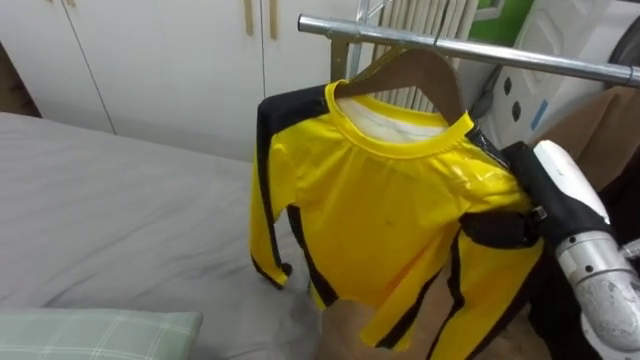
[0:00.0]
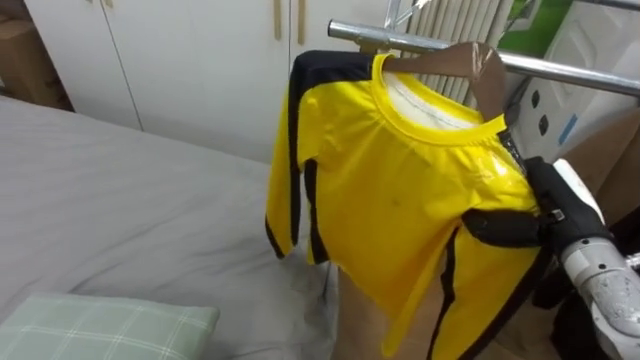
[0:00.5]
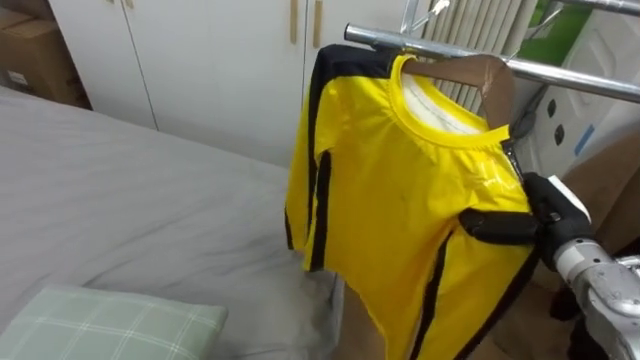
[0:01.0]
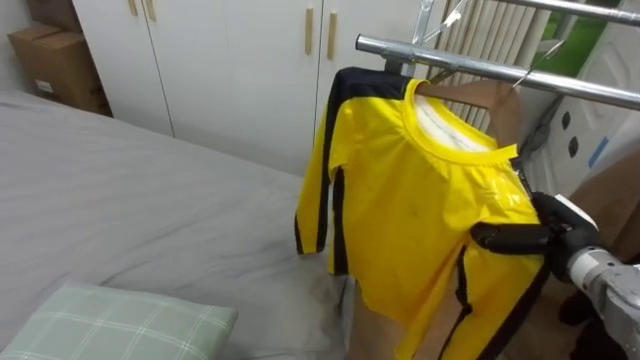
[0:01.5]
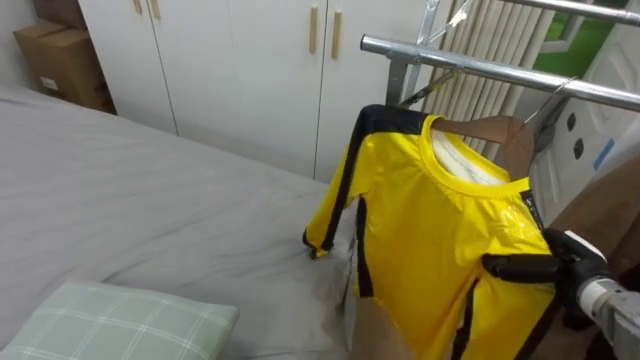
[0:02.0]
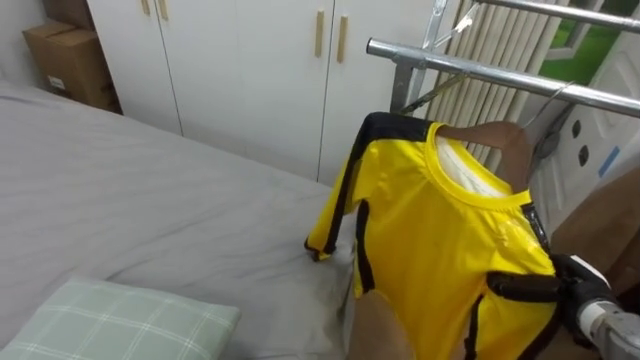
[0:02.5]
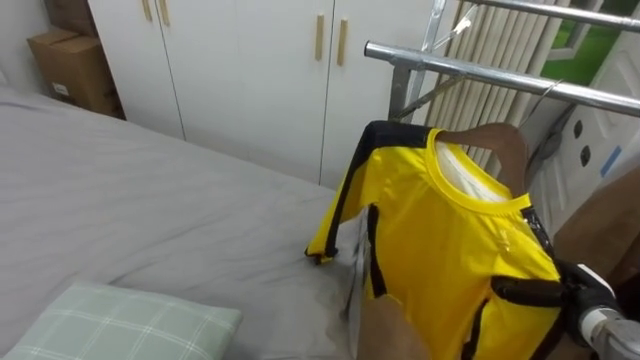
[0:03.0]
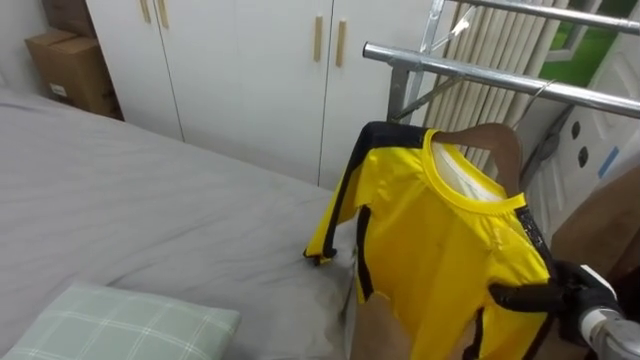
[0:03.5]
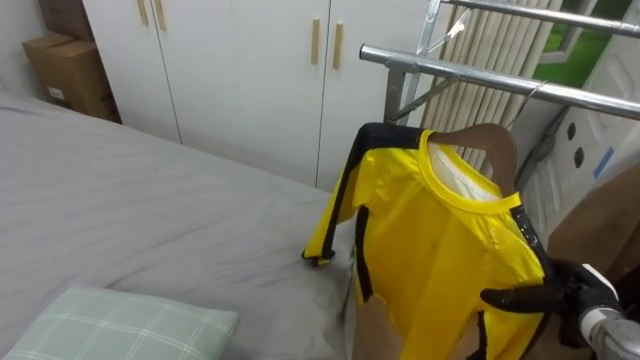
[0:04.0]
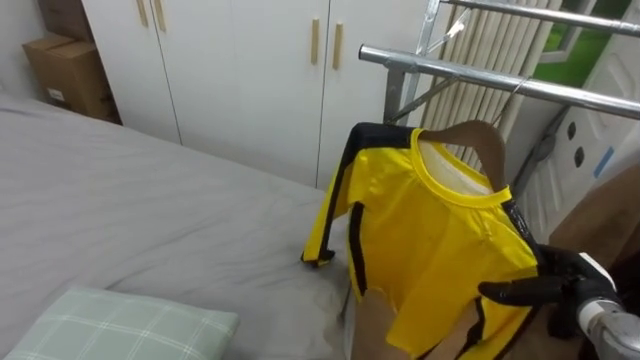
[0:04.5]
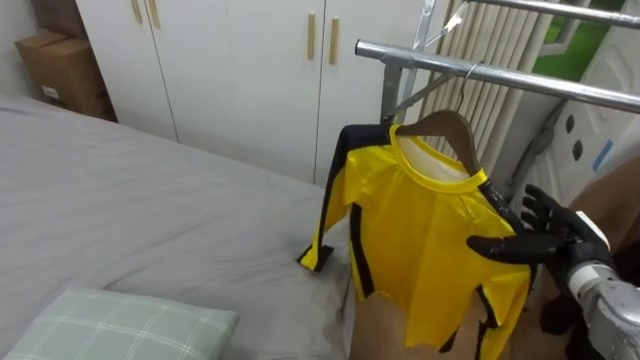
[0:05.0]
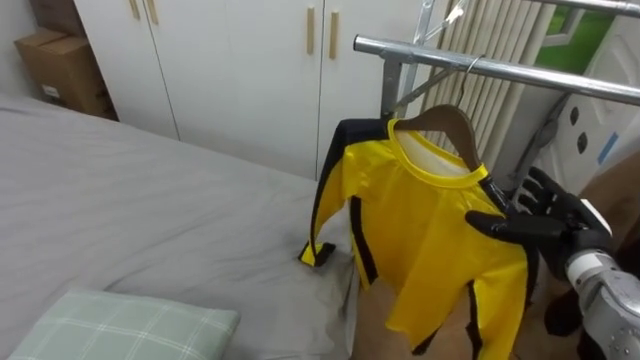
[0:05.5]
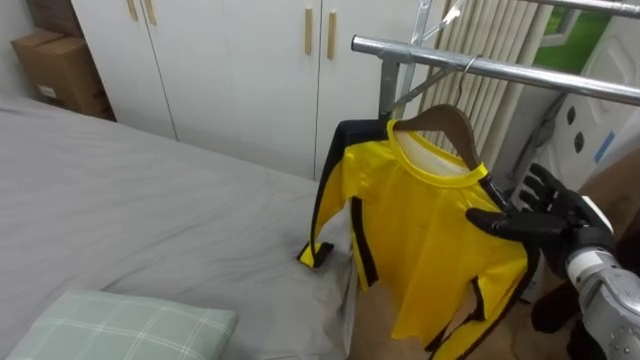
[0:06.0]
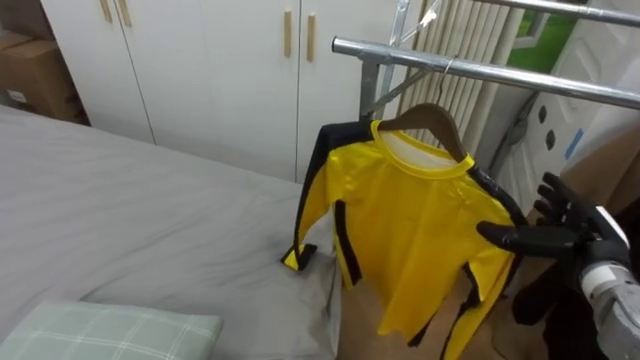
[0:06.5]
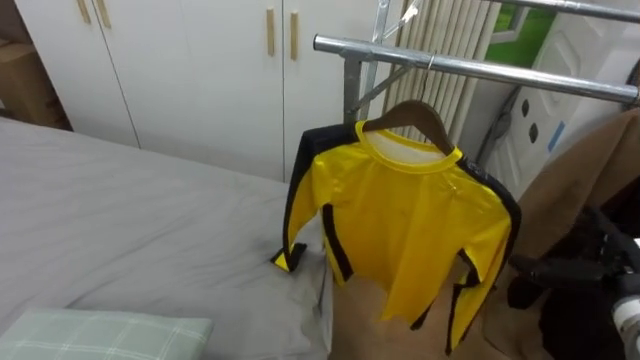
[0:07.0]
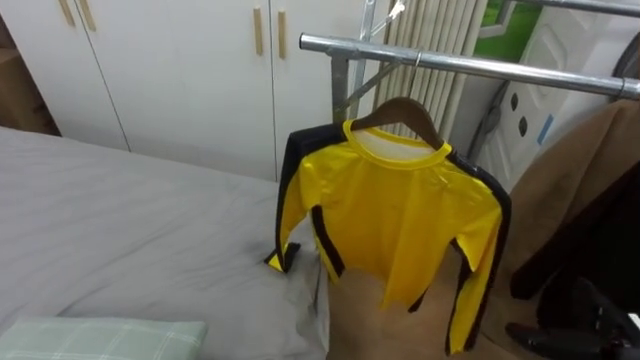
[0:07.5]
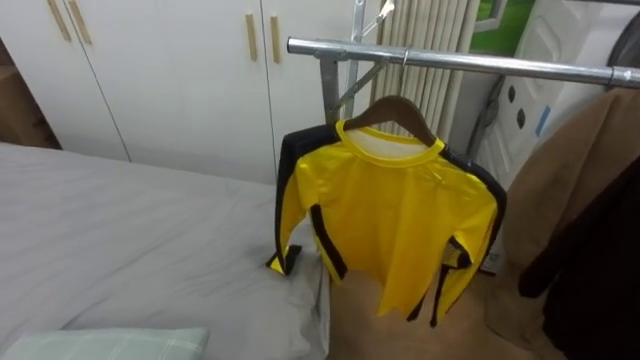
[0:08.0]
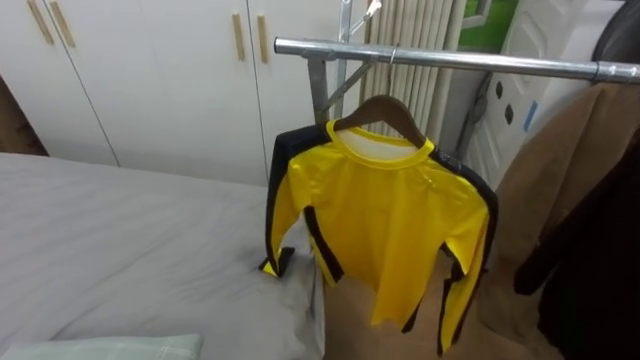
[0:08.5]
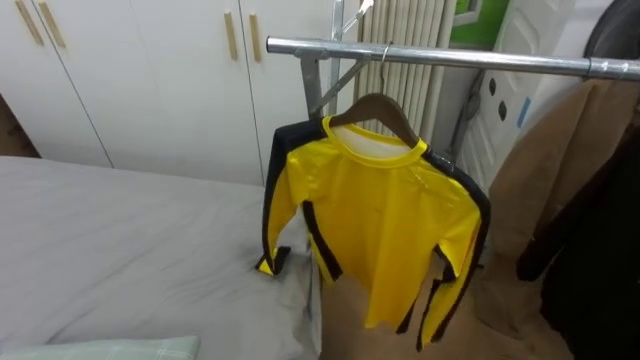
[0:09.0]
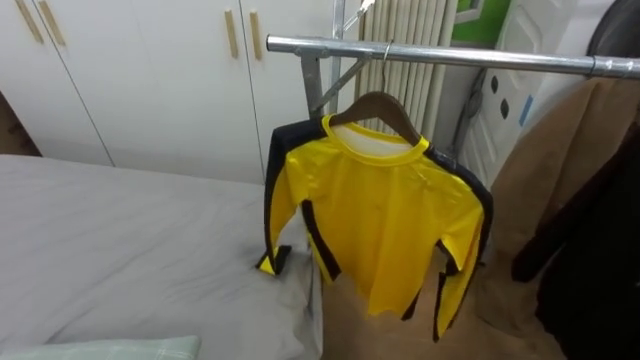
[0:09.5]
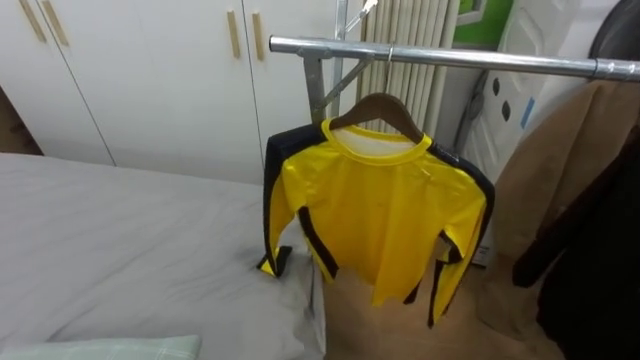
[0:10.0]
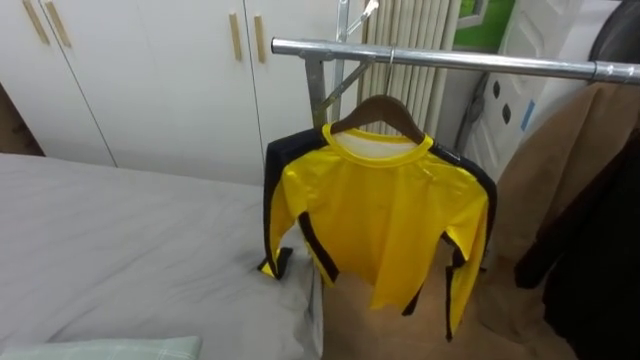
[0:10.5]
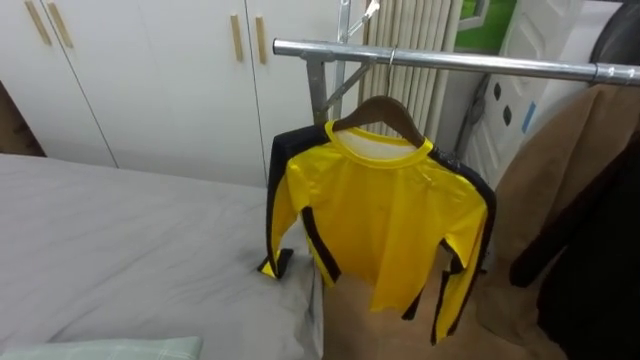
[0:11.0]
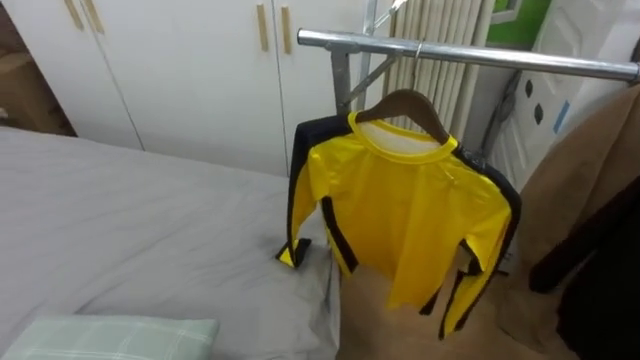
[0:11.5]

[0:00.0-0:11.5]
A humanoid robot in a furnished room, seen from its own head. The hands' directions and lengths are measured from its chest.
Task of the whole recording: Pick up the yellow shirt on the bed and hang it on the clothes rack on the right.
0:00.0 to 0:02.0: The right hand shifts roughly 15 cm downward and to the right.
0:02.0 to 0:04.0: The right hand opens.
0:04.0 to 0:06.0: The right hand shifts some 10 cm upward.
0:06.0 to 0:07.5: The right hand shifts about 15 cm backward and downward.

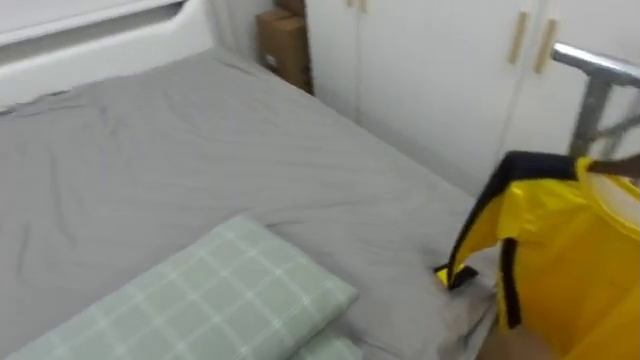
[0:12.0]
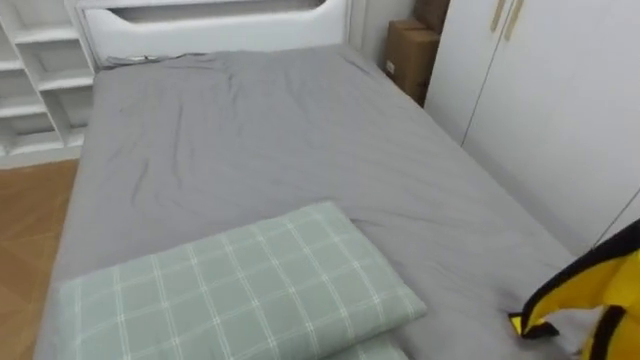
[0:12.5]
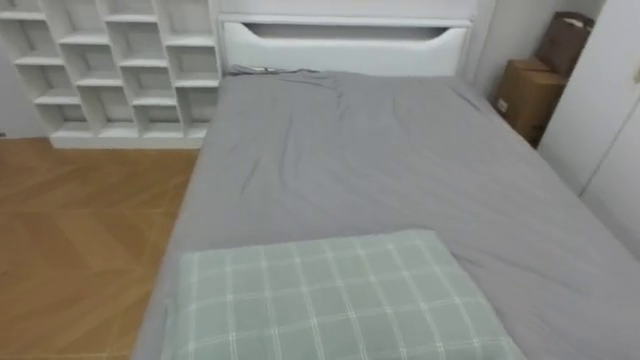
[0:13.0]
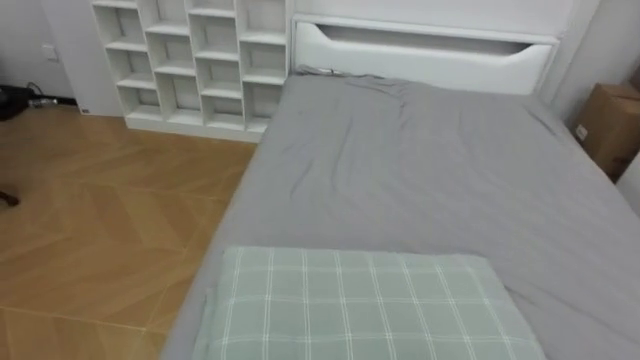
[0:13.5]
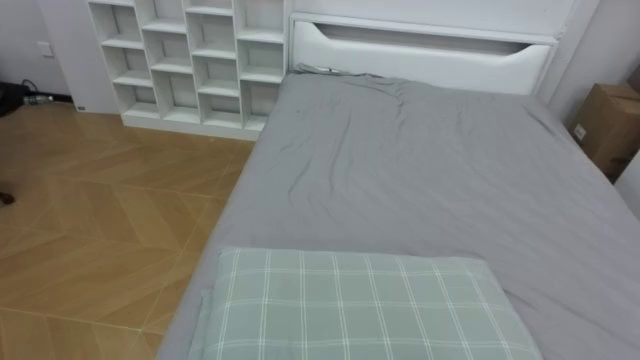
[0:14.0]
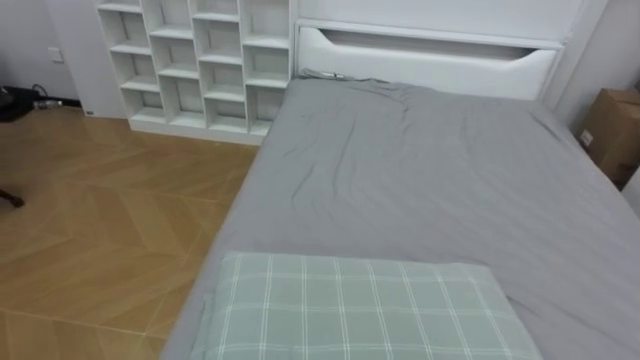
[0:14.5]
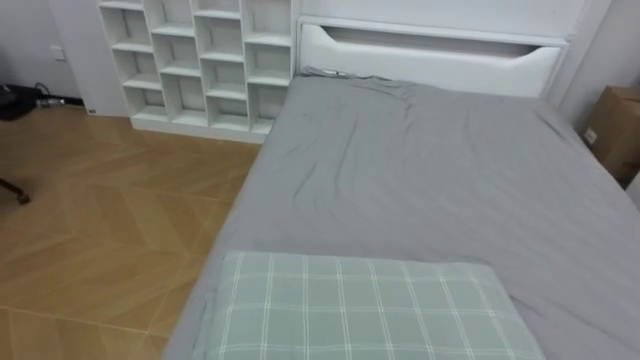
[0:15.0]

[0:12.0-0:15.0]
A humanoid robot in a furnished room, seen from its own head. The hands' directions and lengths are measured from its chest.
Task of the whole recording: Pick up the yellow shirt on the bed and hang it on the clothes rack on the right.
0:12.0 to 0:13.5: The robot's body swings roughly 50 degrees to its left.

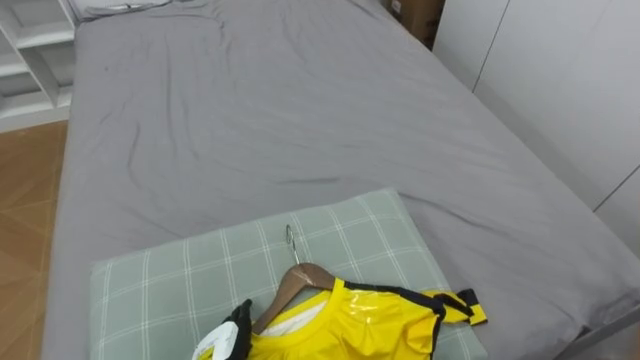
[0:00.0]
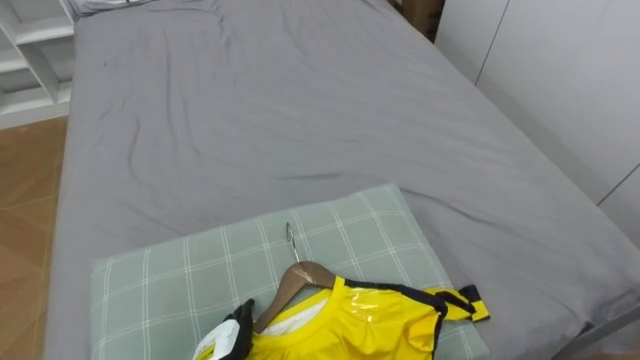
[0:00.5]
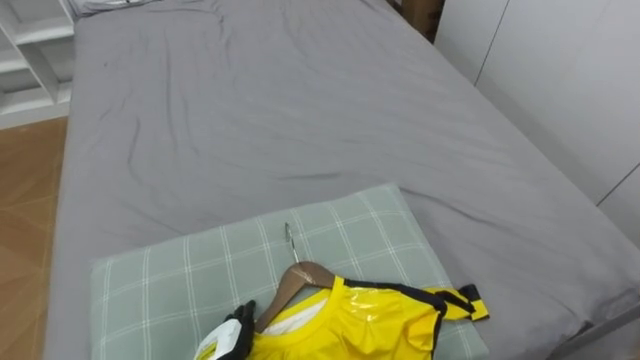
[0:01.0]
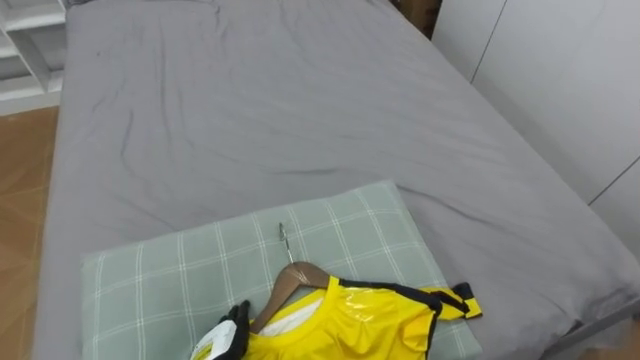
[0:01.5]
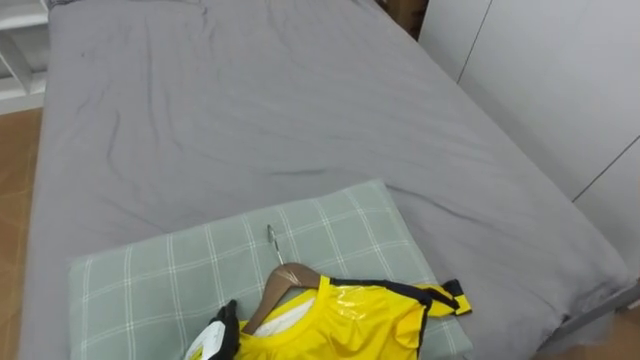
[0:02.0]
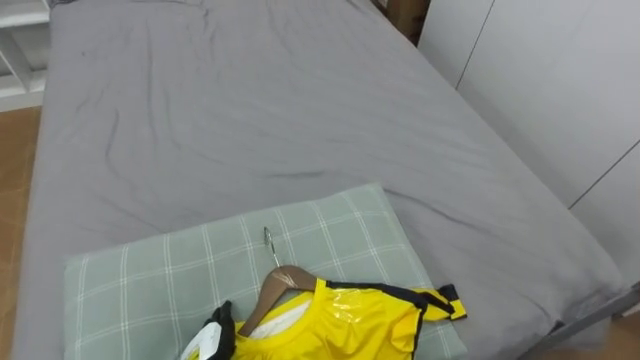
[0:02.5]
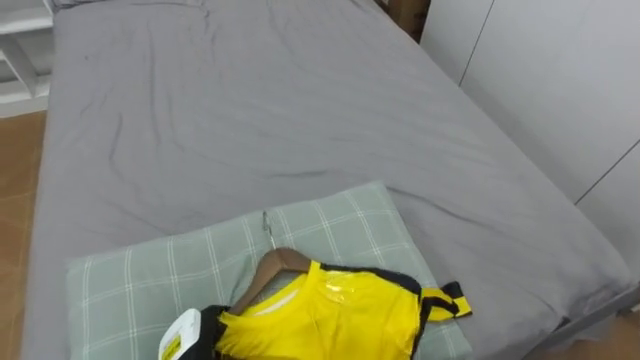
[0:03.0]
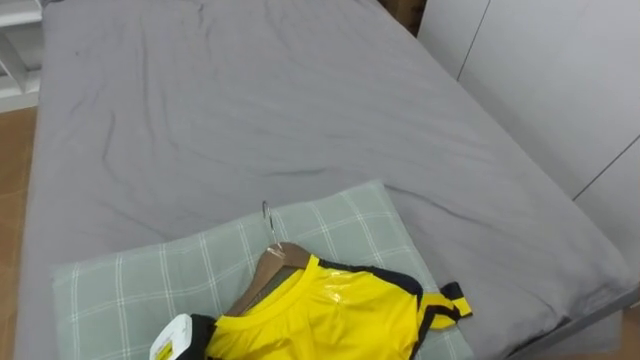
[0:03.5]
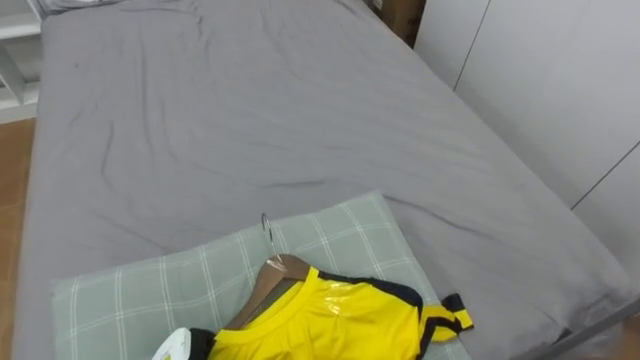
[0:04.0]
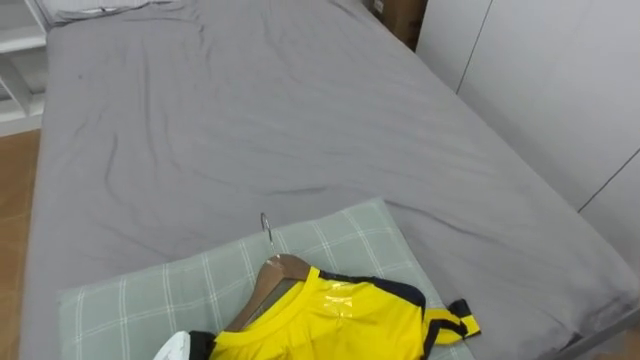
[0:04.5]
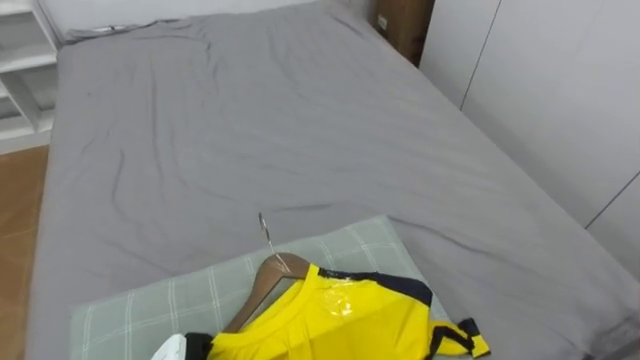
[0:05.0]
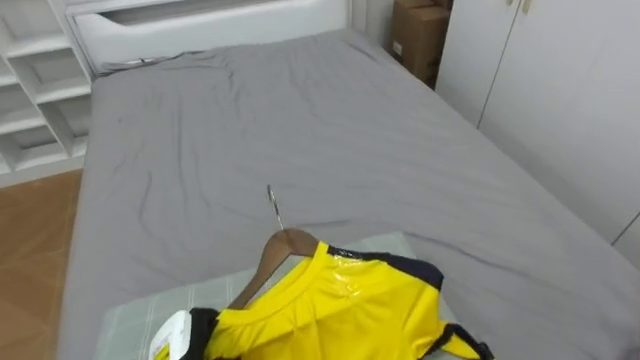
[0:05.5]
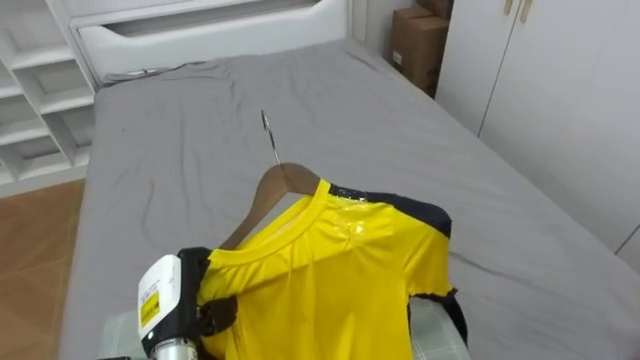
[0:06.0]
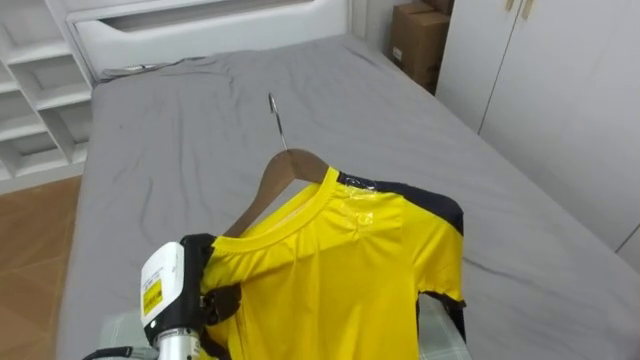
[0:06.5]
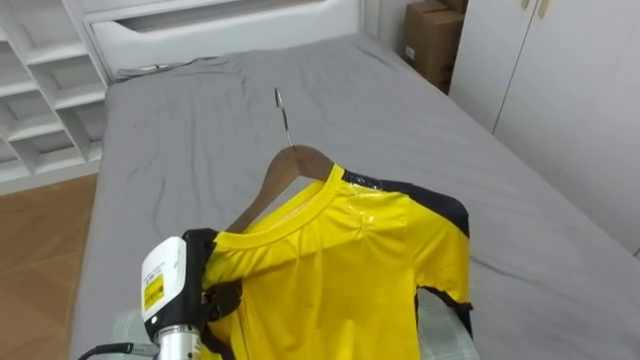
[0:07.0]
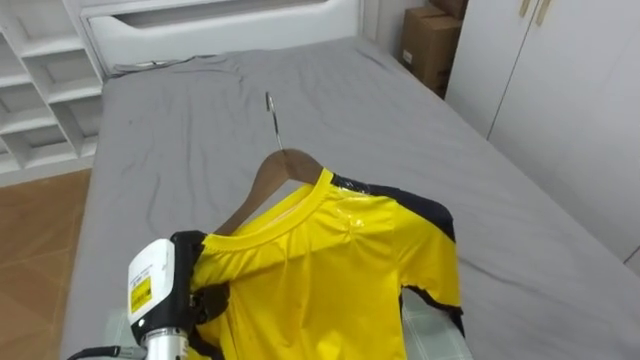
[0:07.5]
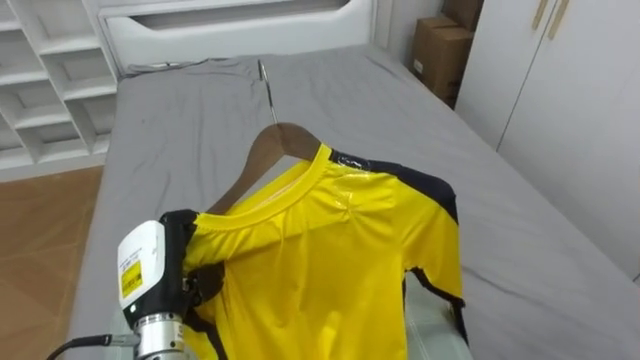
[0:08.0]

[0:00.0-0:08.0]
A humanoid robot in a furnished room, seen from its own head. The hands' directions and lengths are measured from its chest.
Task of the whole recording: Pick up the yellow shirt on the bed and hang it on the clothes rack on the right.
0:06.0 to 0:08.0: The left hand goes approximately 5 cm upward.
